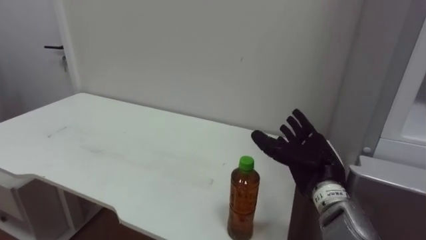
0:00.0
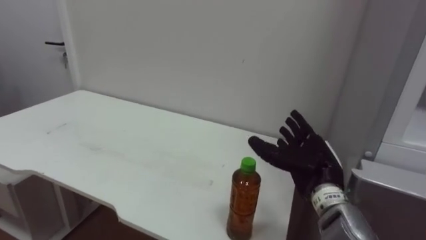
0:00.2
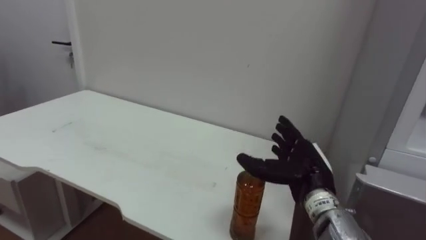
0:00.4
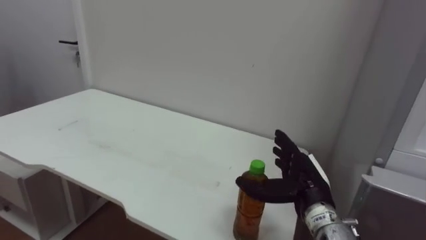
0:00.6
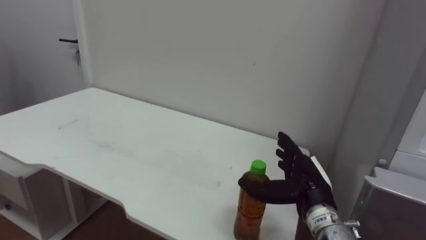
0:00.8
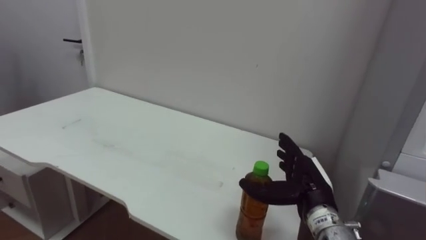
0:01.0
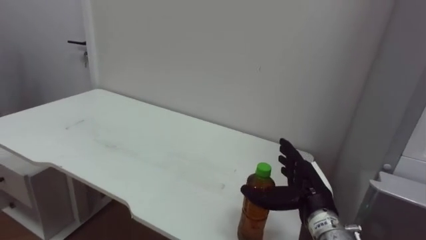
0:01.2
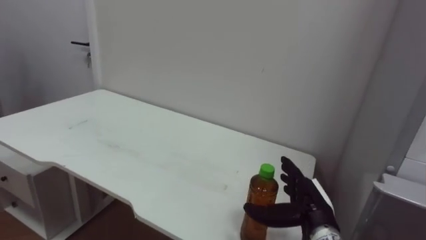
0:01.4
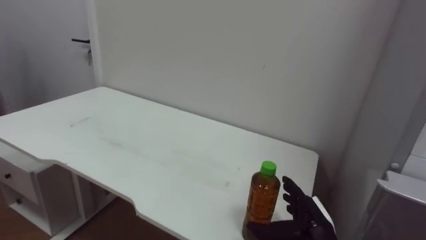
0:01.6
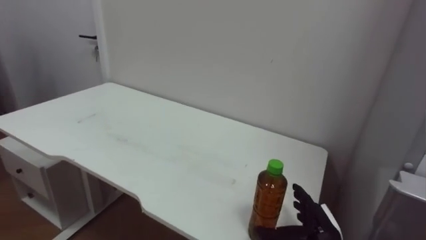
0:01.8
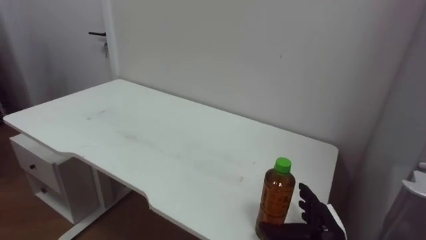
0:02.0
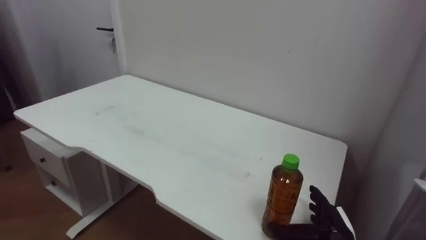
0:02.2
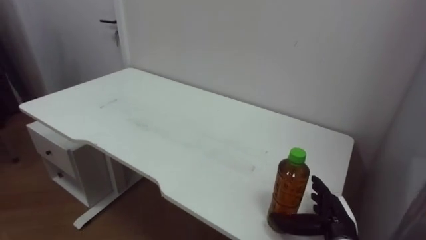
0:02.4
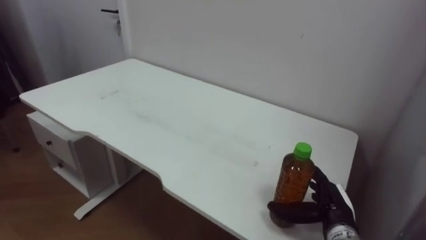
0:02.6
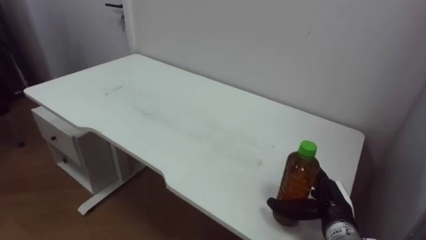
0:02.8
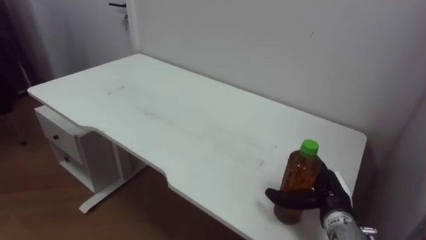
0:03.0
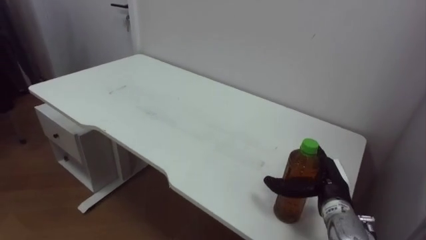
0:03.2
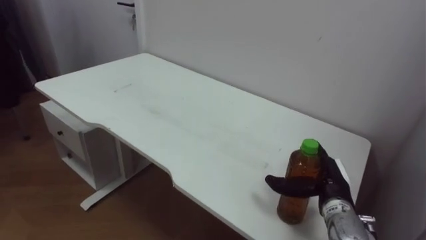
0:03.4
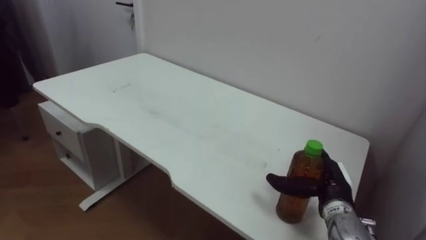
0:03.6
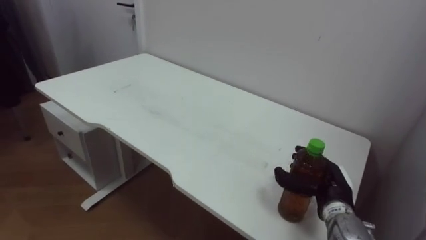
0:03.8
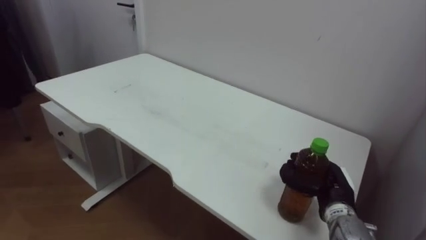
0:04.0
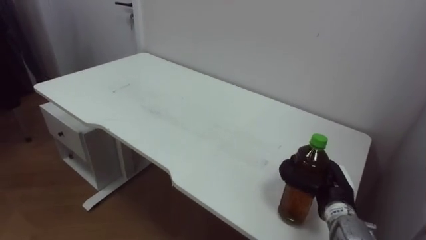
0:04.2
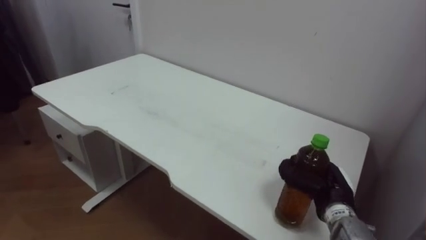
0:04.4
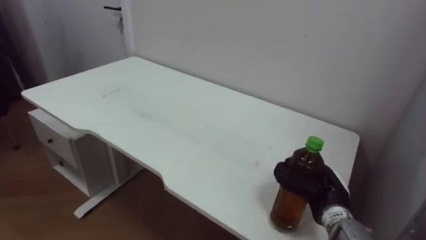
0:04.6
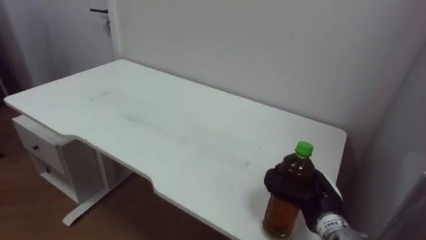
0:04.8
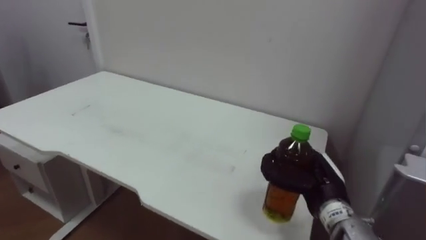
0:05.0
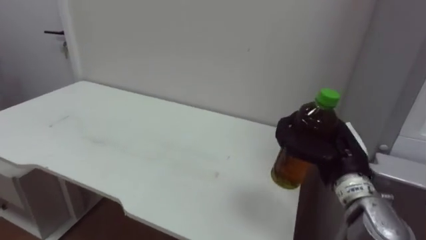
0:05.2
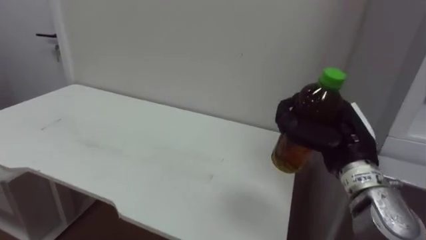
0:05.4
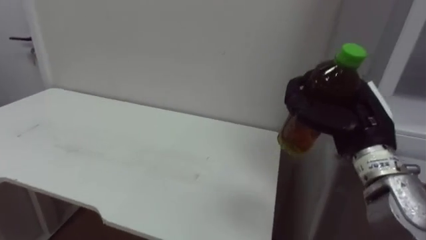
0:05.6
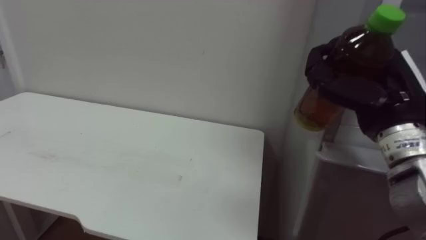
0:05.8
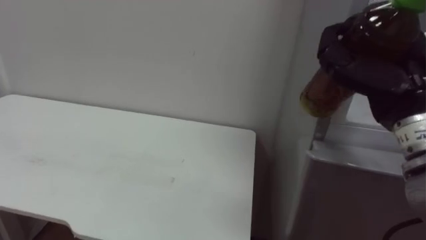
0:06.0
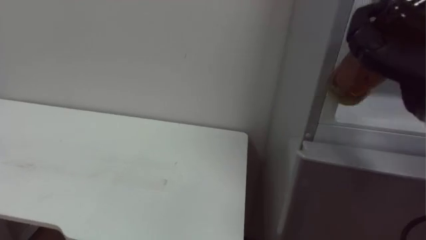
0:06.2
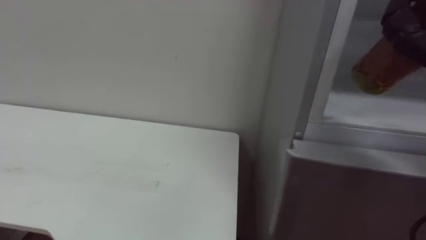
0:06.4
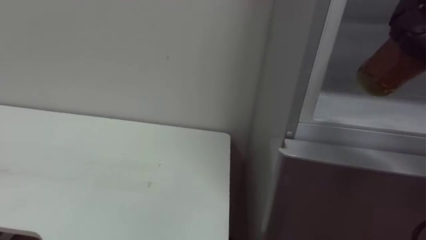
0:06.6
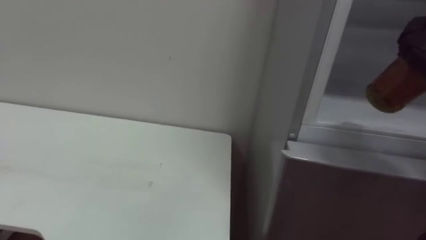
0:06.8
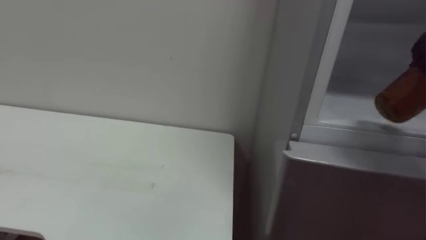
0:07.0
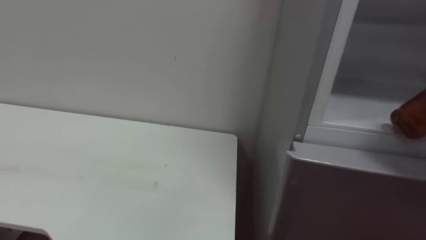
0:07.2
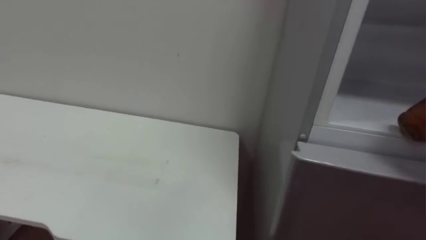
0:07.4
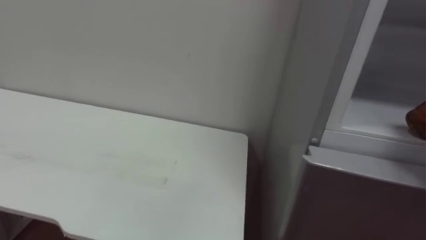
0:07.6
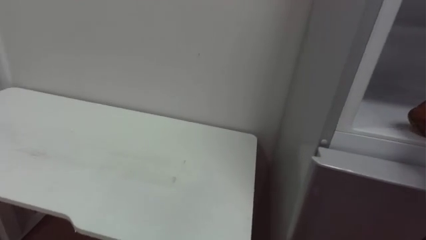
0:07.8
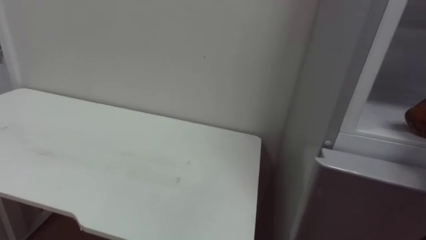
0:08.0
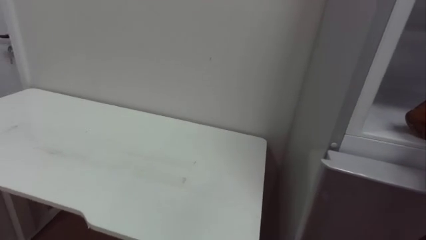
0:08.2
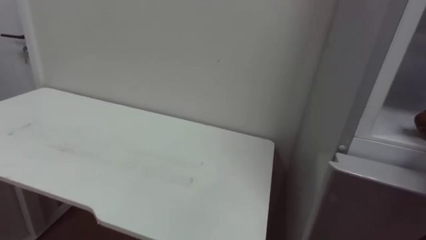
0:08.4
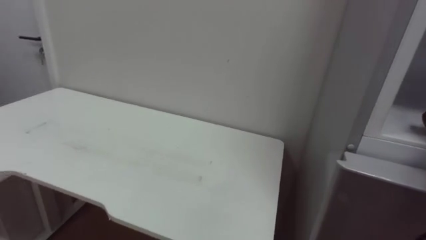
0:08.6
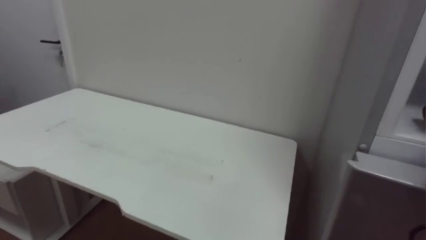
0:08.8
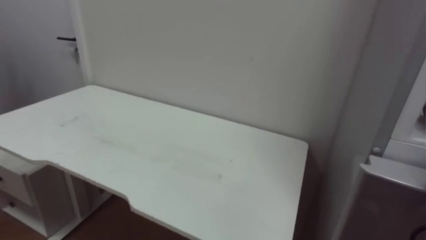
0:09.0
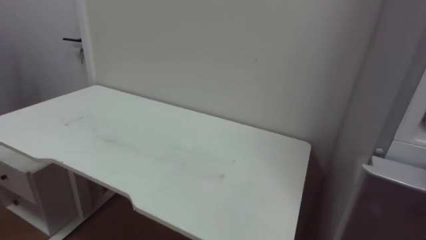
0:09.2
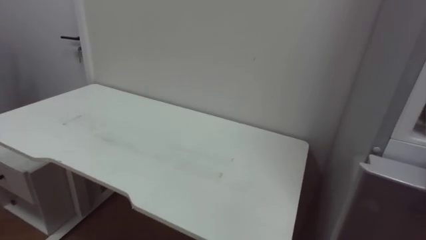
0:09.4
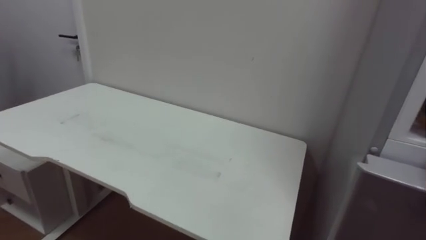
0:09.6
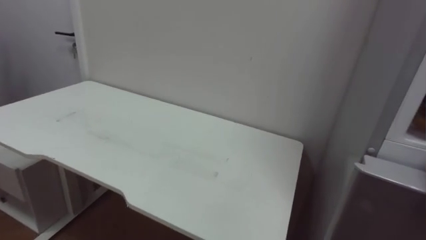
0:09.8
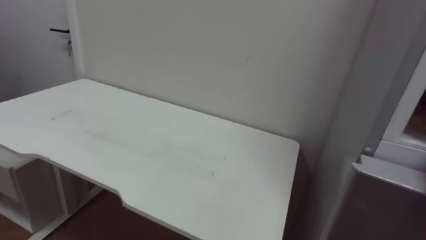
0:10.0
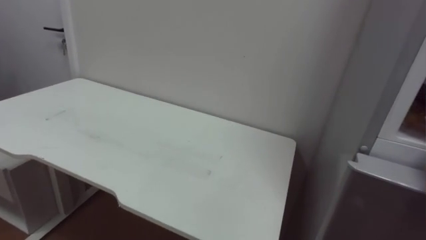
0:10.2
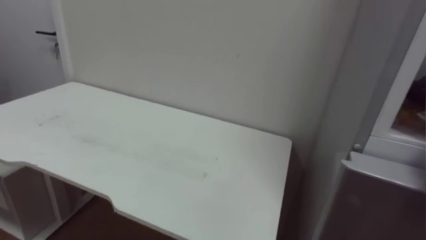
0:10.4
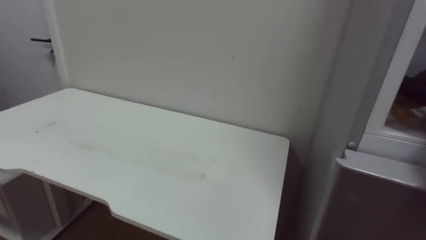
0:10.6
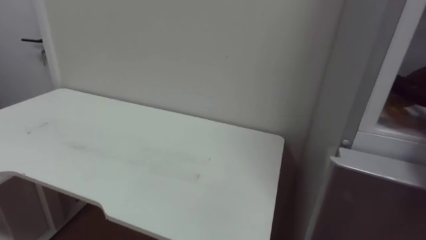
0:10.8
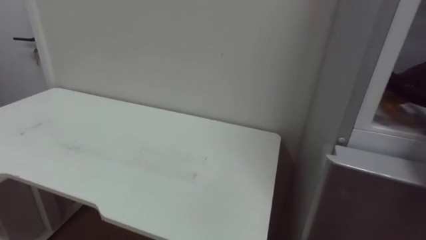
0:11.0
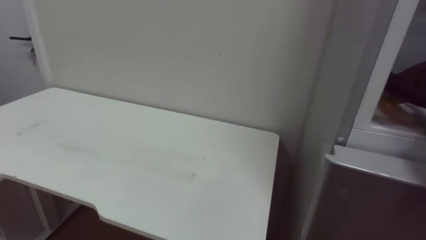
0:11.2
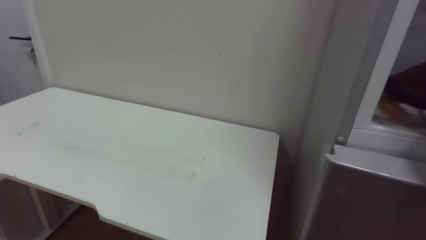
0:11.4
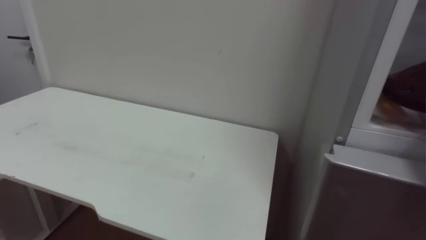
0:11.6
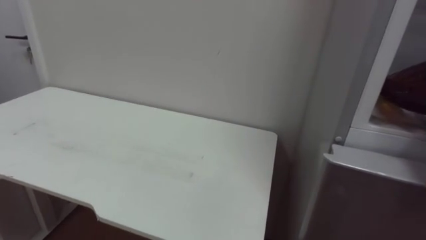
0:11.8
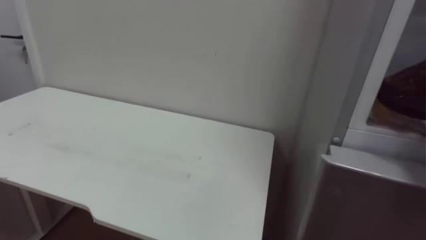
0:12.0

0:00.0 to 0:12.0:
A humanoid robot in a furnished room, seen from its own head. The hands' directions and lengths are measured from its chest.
Task of the whole recording: Open the upper refrigerator door, put the drink from the table into the refrigerator, and then close the refrigerator door.
0:00.0 to 0:01.6: The right hand is displaced downward by roughly 10 cm.
0:01.6 to 0:03.0: The right hand changes place by approximately 5 cm.
0:03.0 to 0:04.4: The right hand closes up.
0:04.4 to 0:06.0: The right hand heads upward, covering roughly 25 cm.

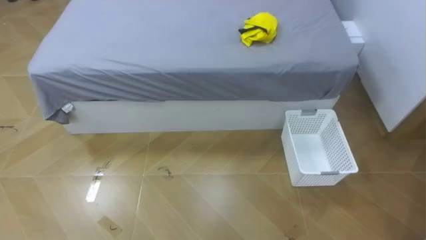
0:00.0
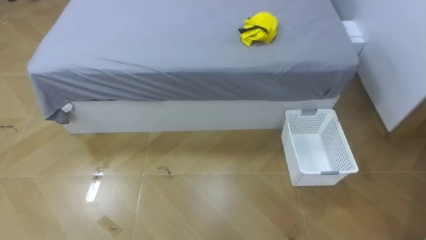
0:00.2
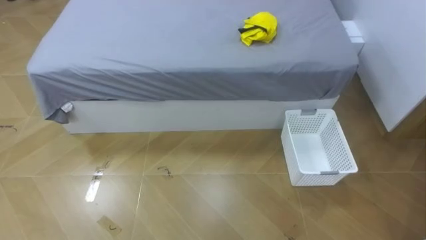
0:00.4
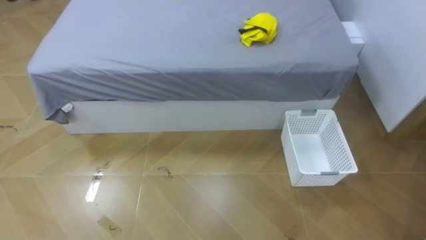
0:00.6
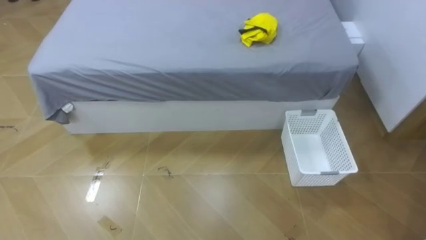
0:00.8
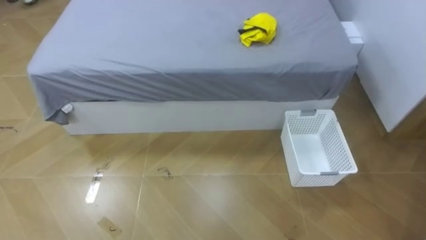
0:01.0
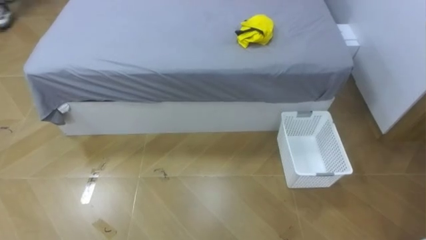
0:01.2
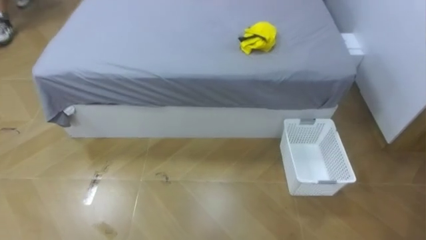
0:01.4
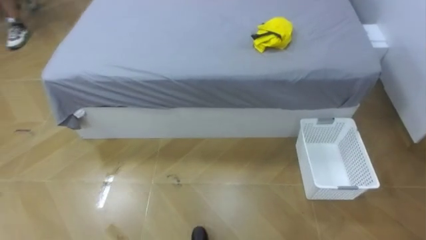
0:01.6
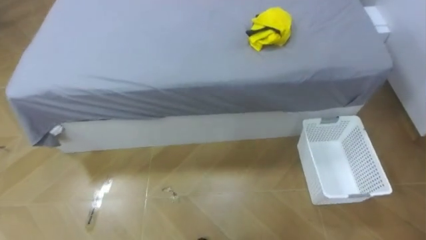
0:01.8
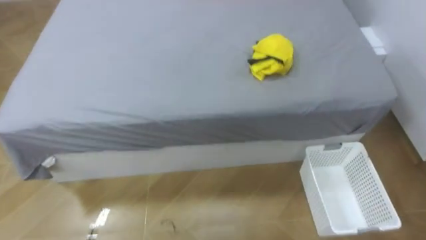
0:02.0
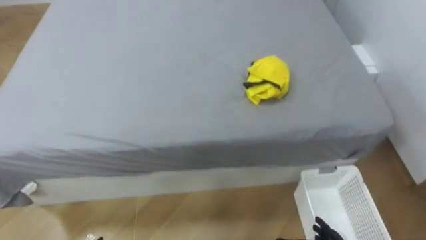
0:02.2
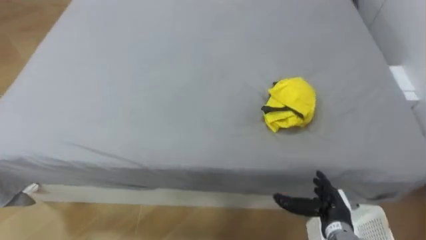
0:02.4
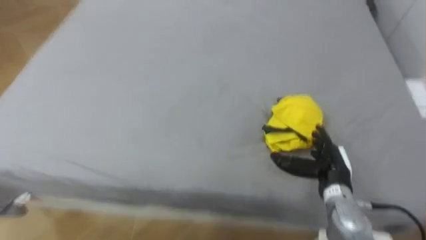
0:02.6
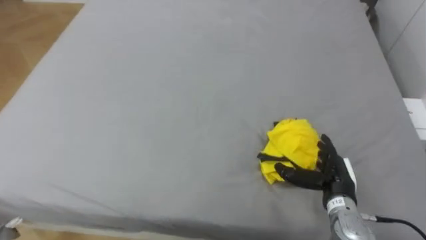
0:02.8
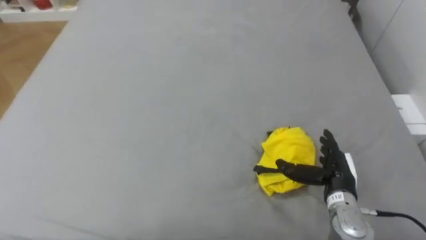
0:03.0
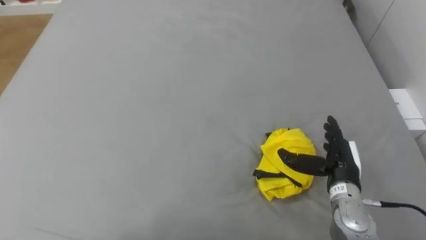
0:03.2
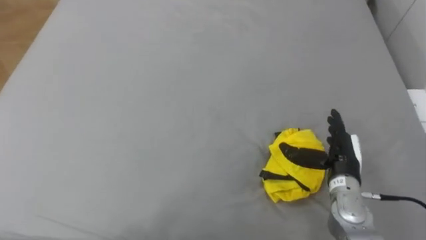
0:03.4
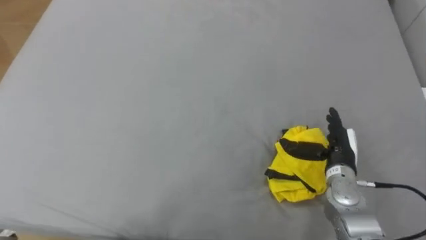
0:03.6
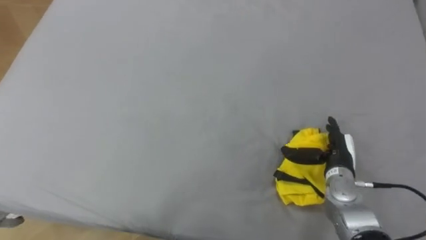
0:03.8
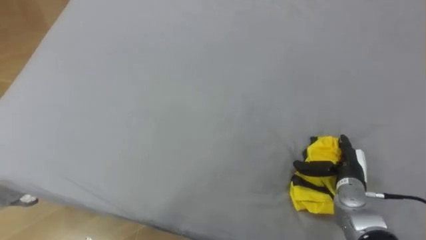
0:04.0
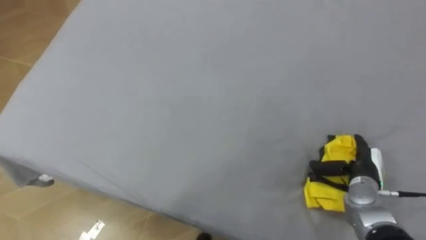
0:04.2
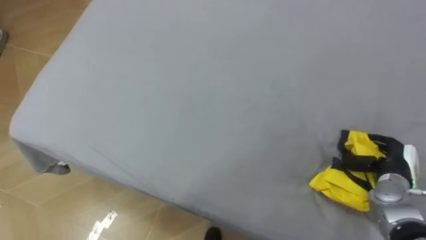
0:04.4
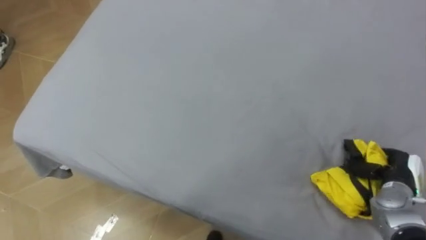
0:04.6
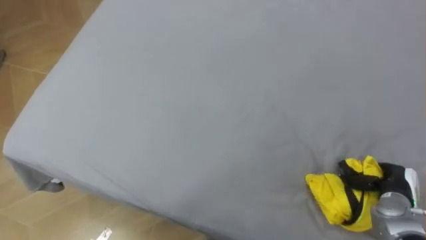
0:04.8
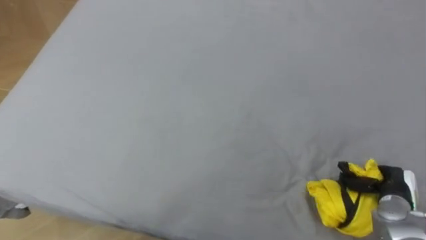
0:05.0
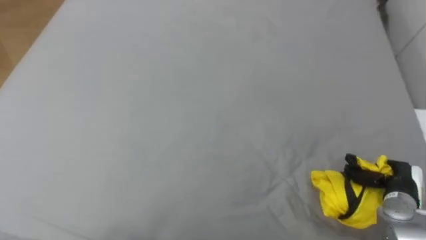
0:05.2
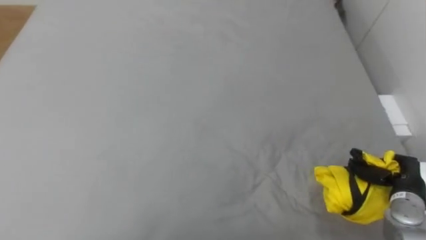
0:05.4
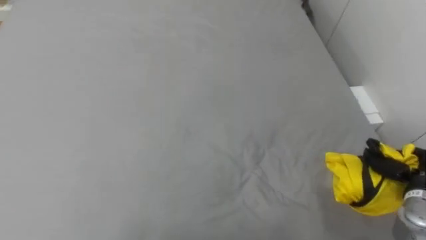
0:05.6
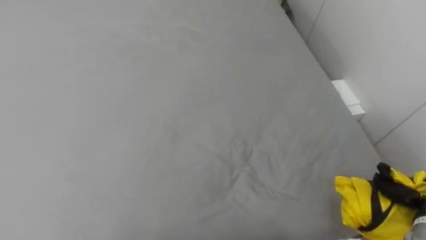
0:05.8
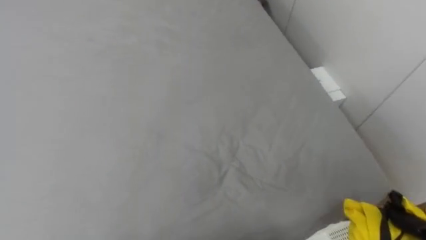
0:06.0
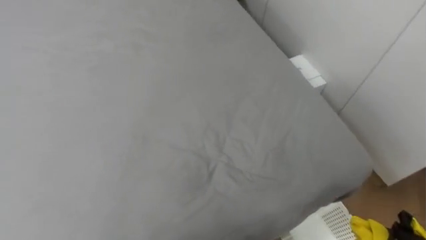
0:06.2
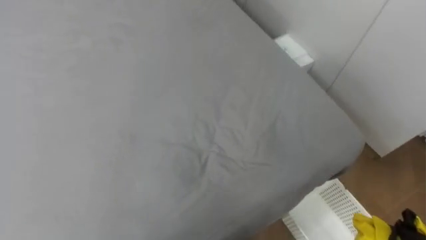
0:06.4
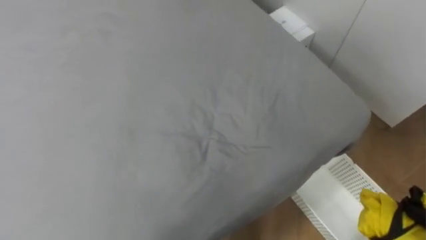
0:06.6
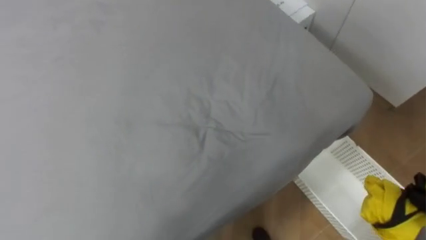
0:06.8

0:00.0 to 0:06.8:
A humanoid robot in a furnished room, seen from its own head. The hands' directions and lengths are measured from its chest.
Task of the whole recording: Pick up the yellow clothes on the bed and place them into the white basket on the right.
0:02.8 to 0:04.0: The right hand ends up roughly 5 cm from where it was.
0:04.0 to 0:05.4: The right hand is displaced to the right by some 10 cm, and closes up.
